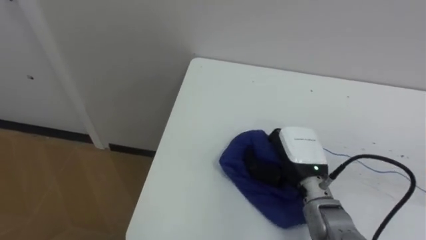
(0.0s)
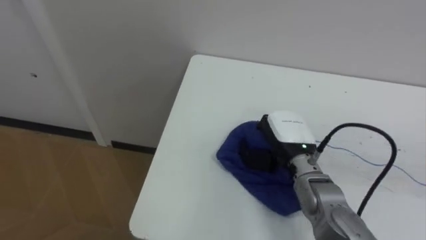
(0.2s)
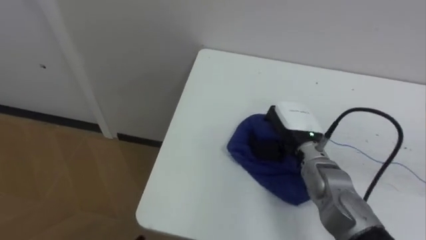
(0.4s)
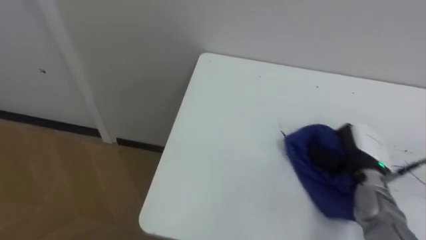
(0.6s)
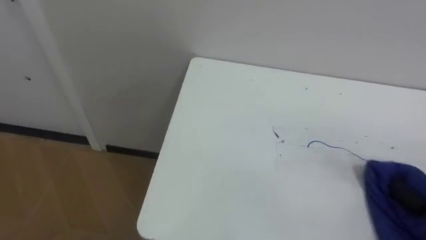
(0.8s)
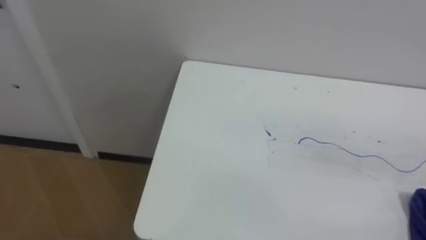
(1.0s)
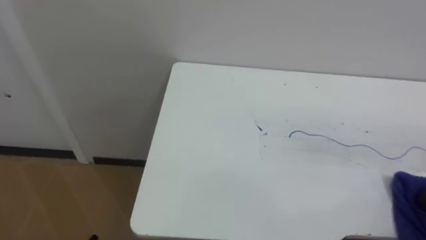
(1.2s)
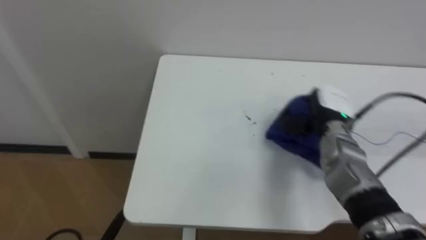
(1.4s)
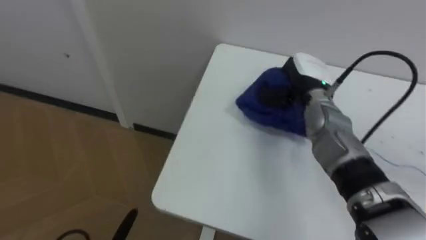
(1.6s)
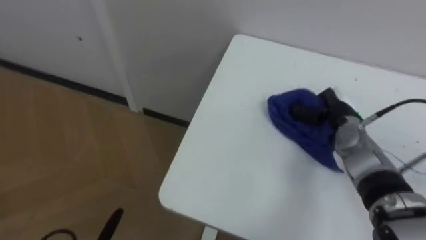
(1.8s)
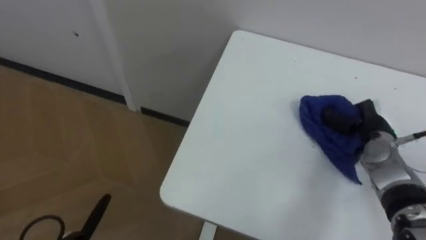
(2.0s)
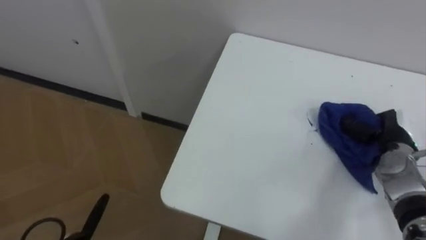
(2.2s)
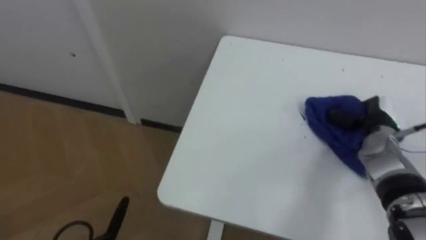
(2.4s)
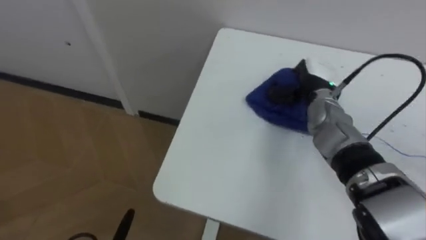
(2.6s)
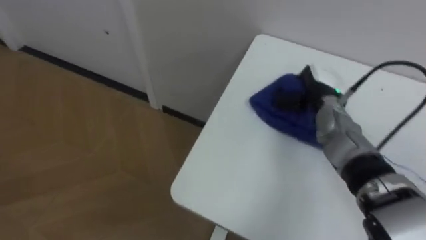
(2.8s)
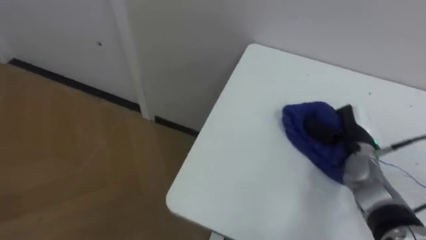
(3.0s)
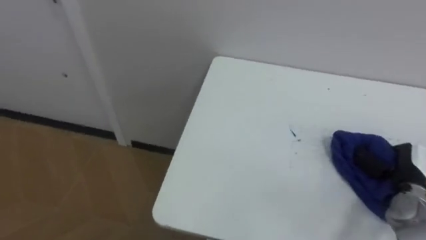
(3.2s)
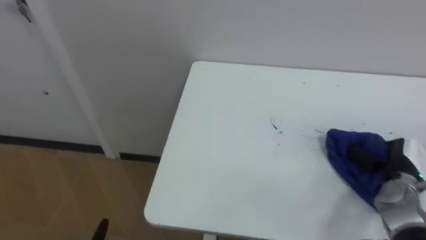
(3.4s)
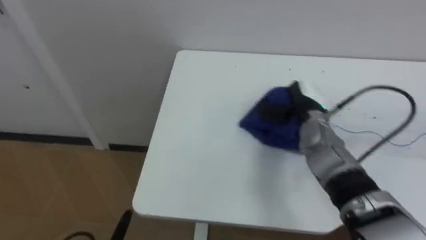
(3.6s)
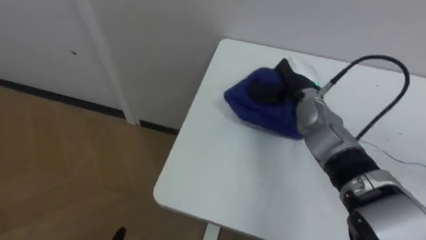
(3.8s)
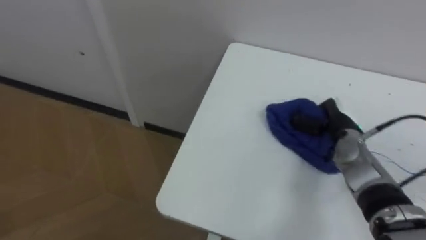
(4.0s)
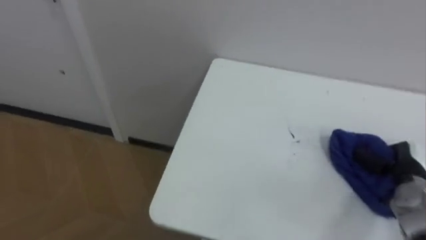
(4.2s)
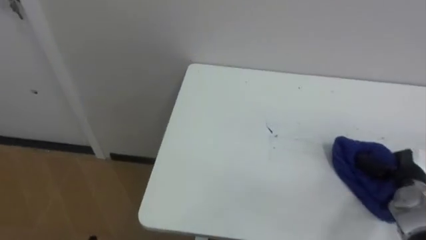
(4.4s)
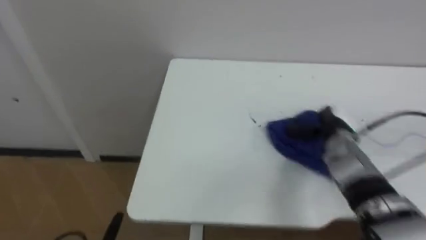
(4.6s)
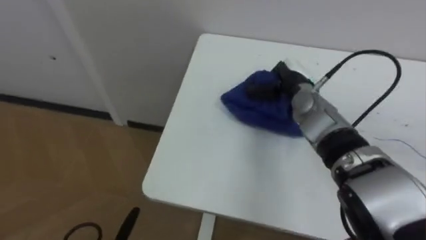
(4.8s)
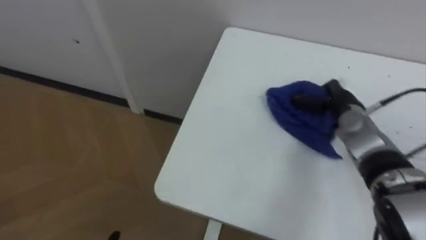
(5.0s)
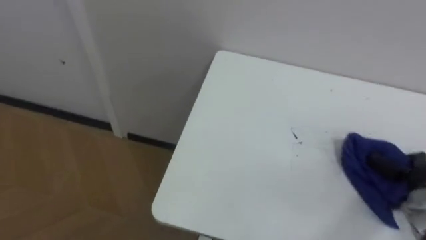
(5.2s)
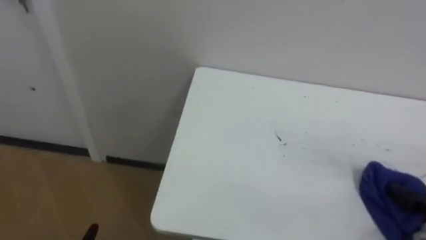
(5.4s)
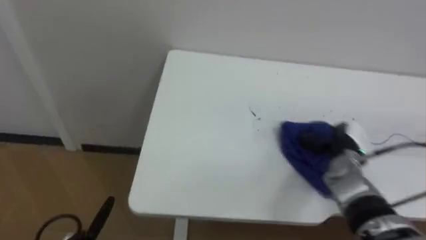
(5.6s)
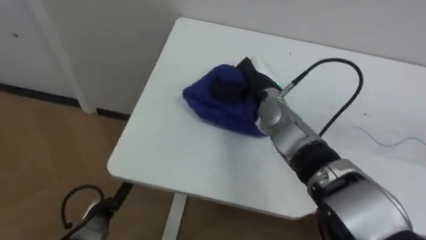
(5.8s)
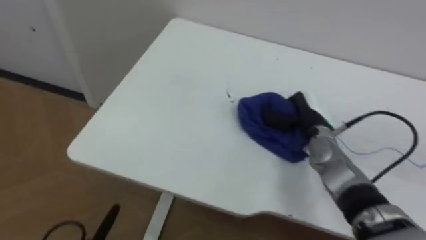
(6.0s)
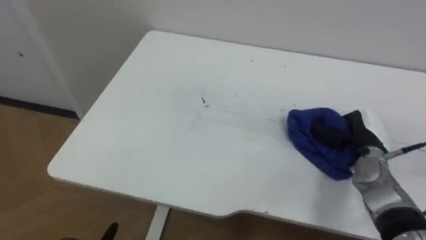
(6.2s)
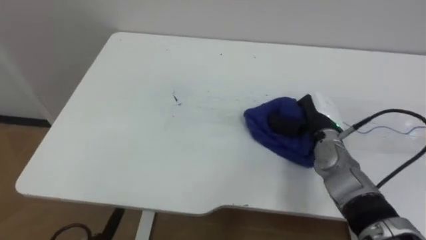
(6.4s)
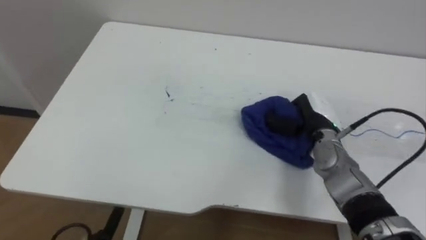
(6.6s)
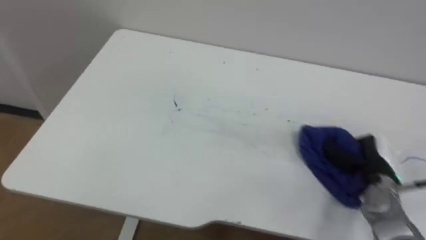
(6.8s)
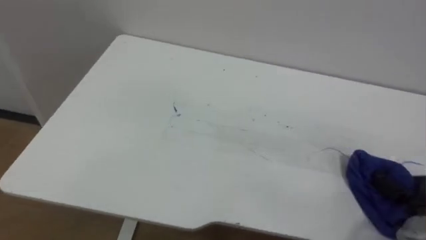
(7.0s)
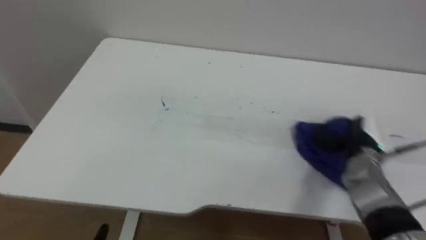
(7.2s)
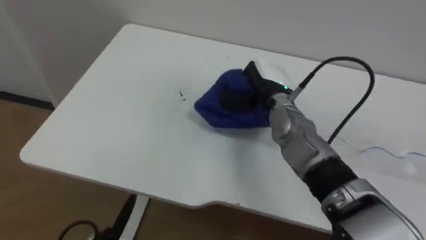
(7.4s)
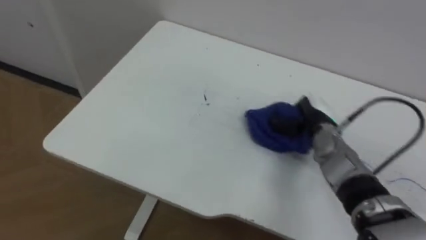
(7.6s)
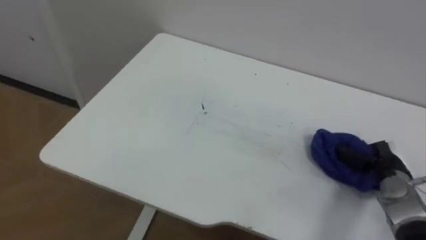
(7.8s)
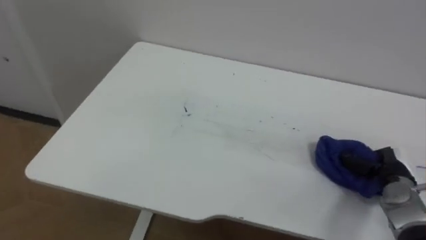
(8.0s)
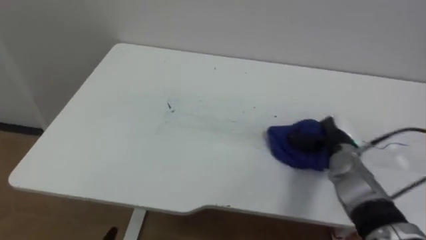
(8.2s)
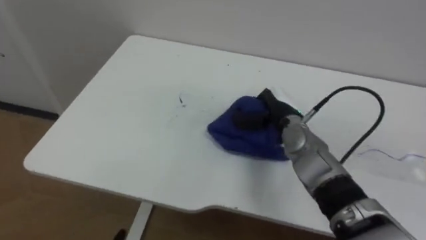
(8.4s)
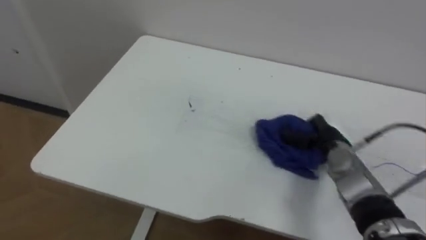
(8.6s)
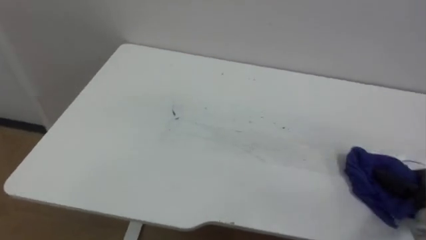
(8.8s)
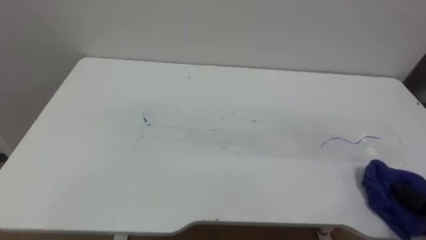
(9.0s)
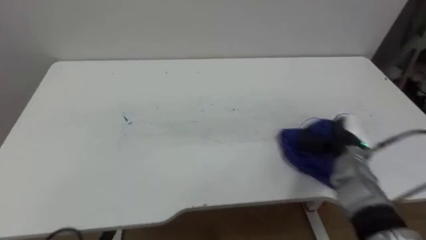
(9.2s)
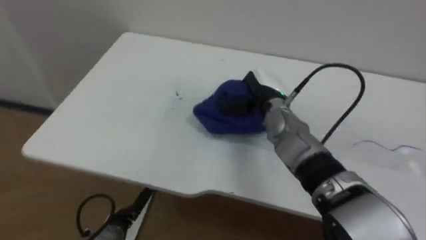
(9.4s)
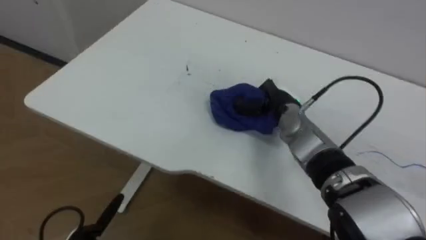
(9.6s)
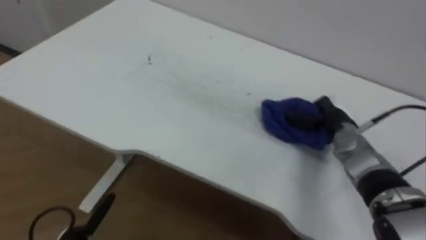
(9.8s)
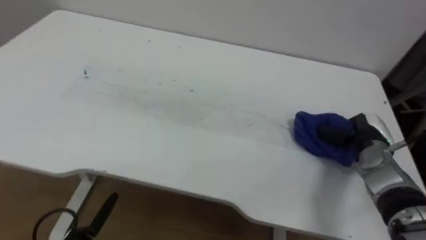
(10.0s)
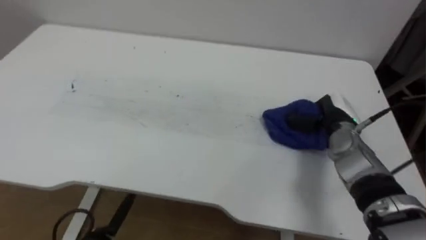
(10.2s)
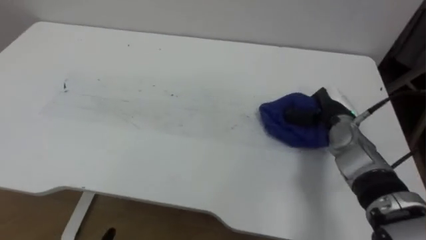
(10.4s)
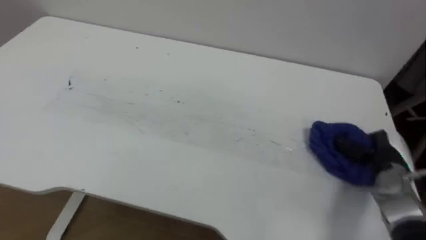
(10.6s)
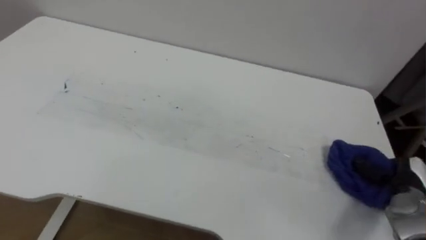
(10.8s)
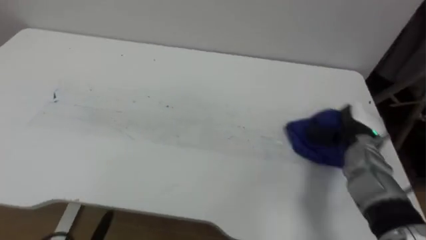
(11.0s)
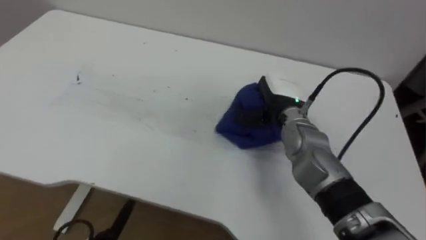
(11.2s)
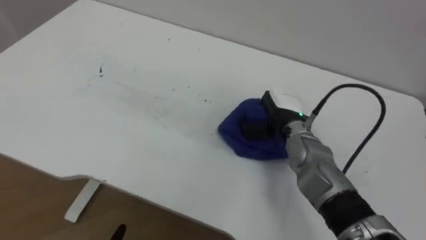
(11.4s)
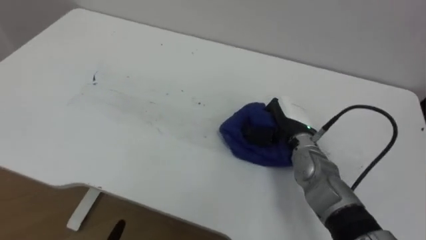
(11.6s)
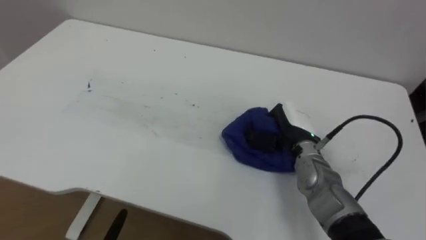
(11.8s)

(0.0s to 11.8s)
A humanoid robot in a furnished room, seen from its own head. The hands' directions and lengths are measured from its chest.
Task of the whole recording: Wipe the blue pen marks off the table with the rag.
1.4s - 3.0s: The robot faces some 15 degrees further to its left. The right hand moves left and right over some 20 cm, changing direction 3 times.
3.0s - 4.4s: The right hand swings left and right, some 20 cm each way, with 2 reversals.
6.0s - 7.4s: The right hand goes left and right, roughly 30 cm each way, reversing 3 times.
7.4s - 8.8s: The right hand moves left and right over roughly 30 cm, changing direction 2 times.
10.4s - 11.8s: The right hand reaches roughly 15 cm to the right, then returns.

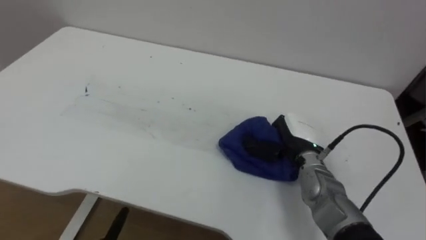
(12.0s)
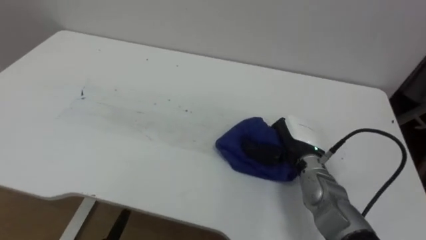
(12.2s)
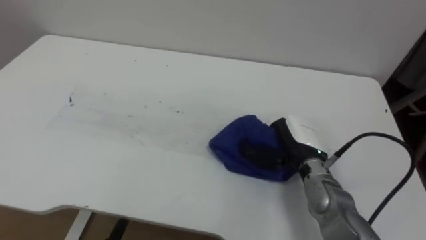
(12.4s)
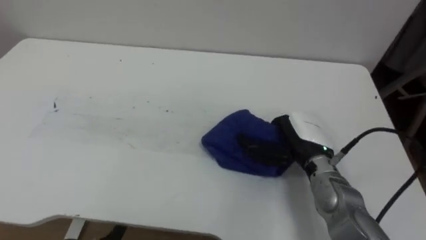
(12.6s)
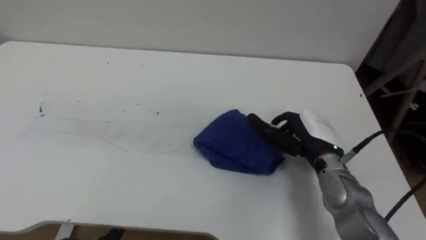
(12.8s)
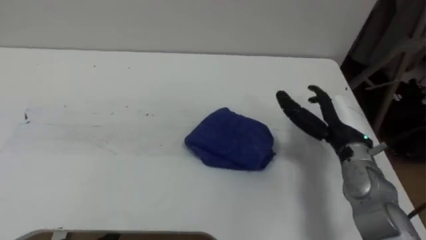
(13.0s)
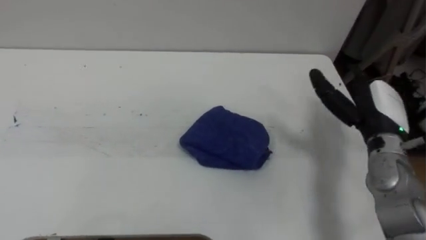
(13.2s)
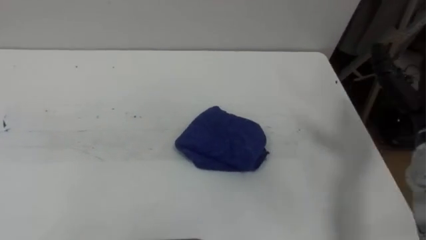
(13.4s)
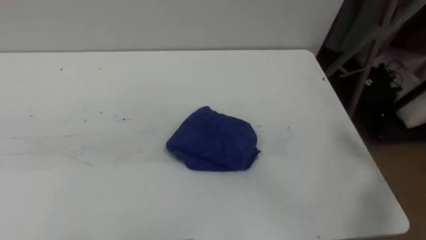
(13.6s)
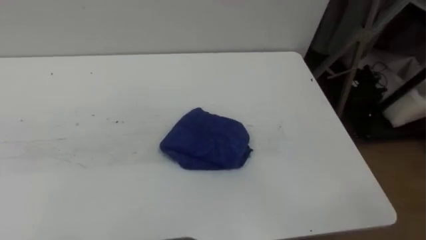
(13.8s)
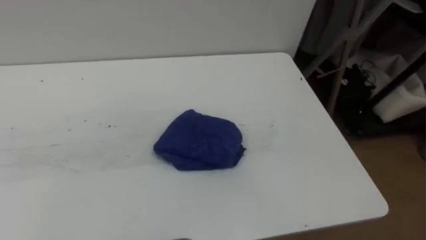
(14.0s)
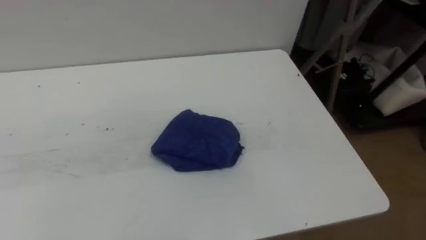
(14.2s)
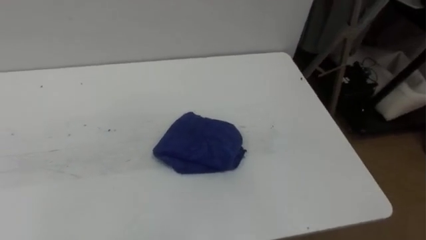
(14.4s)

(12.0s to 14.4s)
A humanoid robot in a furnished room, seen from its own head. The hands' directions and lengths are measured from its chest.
Task of the whole recording: Wipe the blue pen marks off the table with the rag.
12.0s - 13.2s: The right hand is displaced to the right and upward by some 15 cm, and opens up.

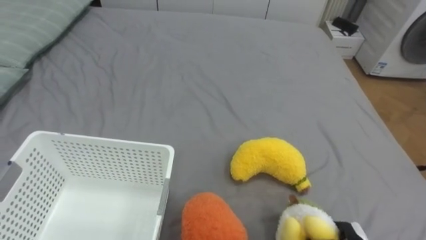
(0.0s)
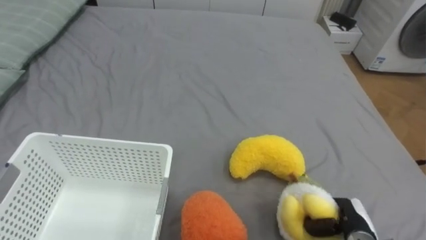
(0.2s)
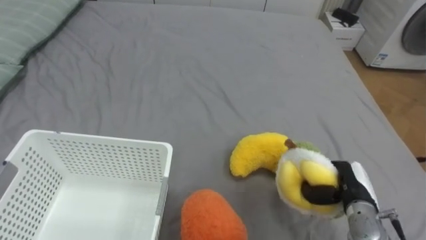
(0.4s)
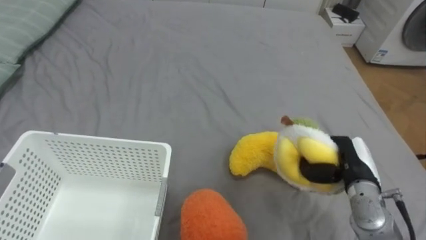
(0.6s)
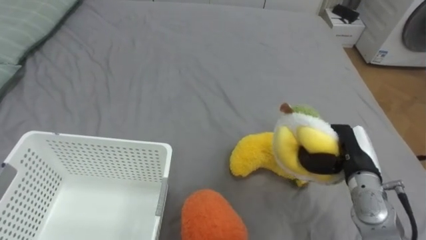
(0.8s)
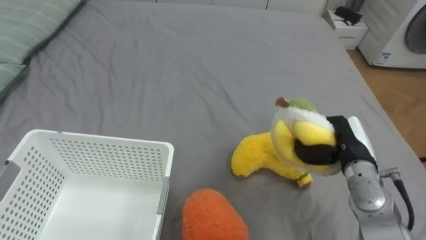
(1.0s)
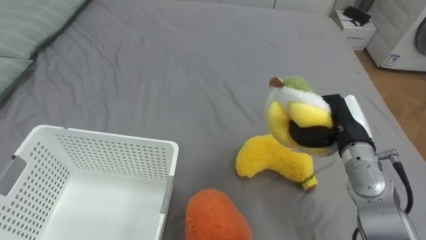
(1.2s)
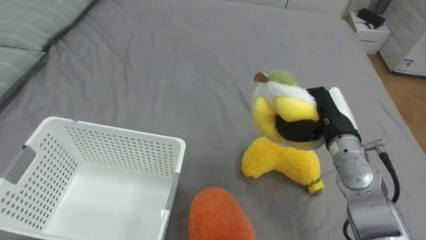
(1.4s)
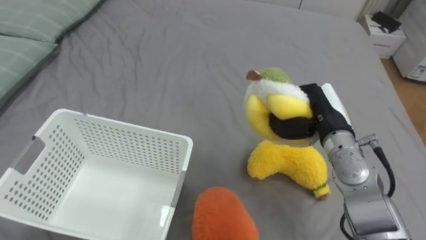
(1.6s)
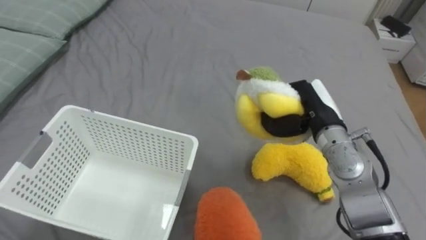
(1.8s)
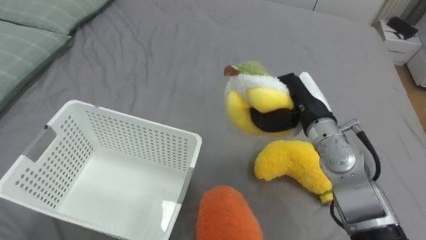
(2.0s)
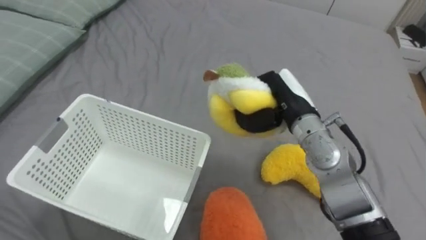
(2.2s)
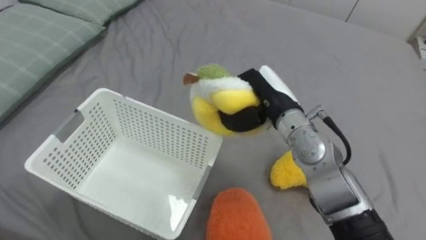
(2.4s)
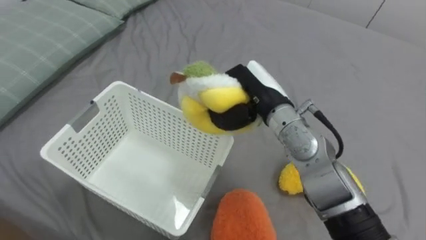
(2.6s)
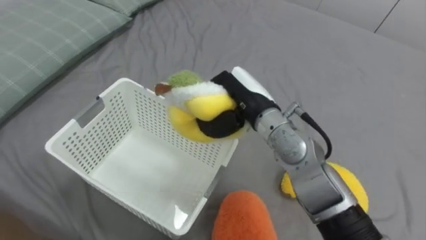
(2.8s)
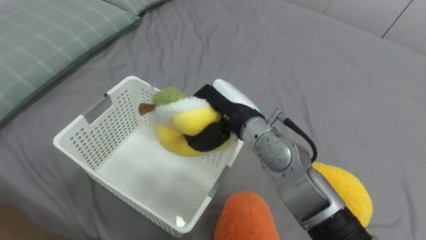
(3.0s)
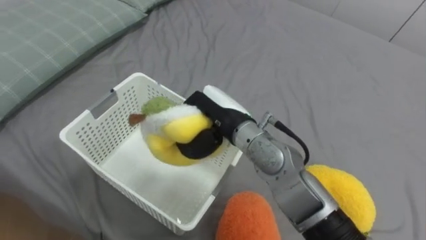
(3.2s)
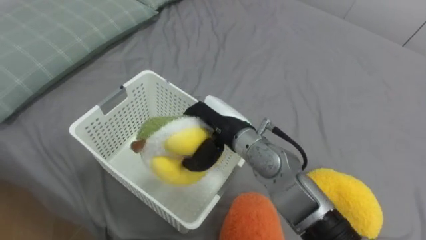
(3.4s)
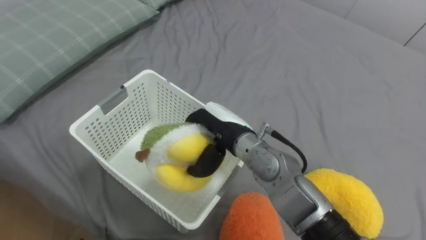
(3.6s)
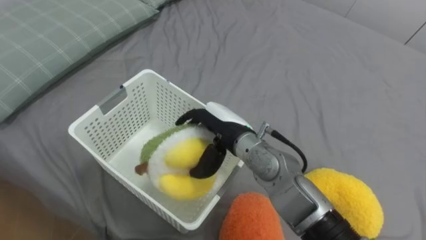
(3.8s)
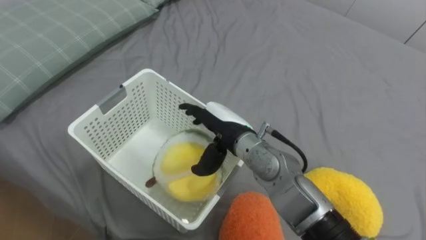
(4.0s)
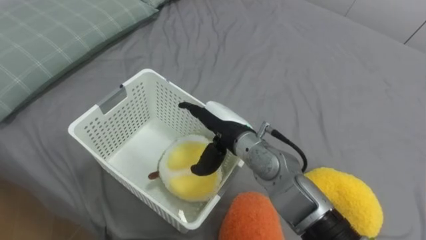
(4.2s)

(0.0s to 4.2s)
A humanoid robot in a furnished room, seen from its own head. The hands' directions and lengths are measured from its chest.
Task of the whole recording: Put the toys on the bed into the basket on the left.
1.4s - 2.8s: The right hand goes some 15 cm to the left.
2.8s - 4.2s: The right hand is displaced downward by about 5 cm, and opens its fingers.
